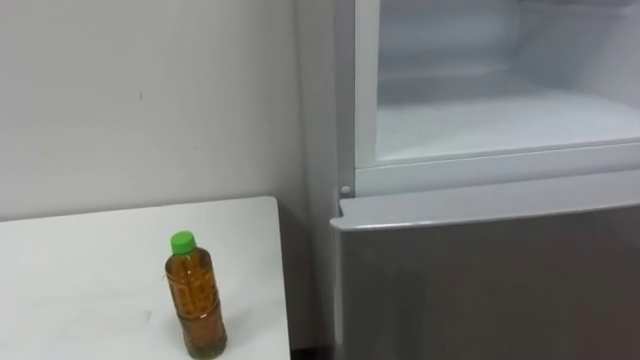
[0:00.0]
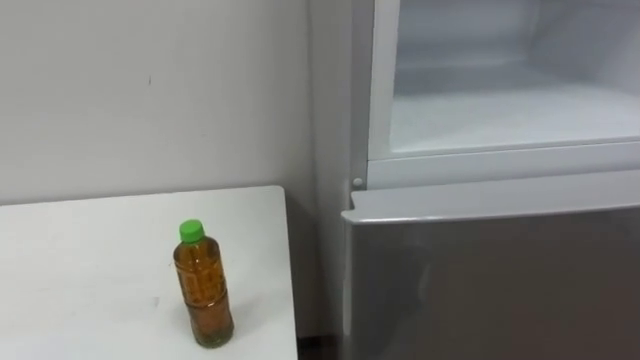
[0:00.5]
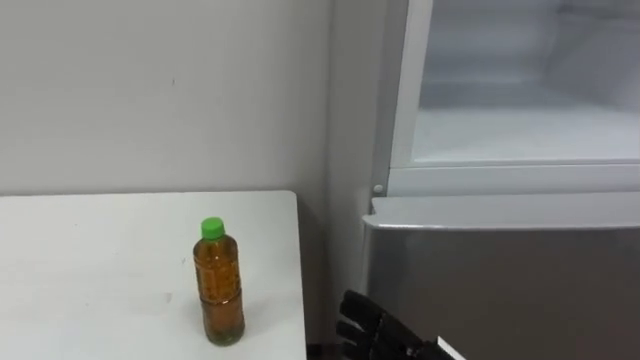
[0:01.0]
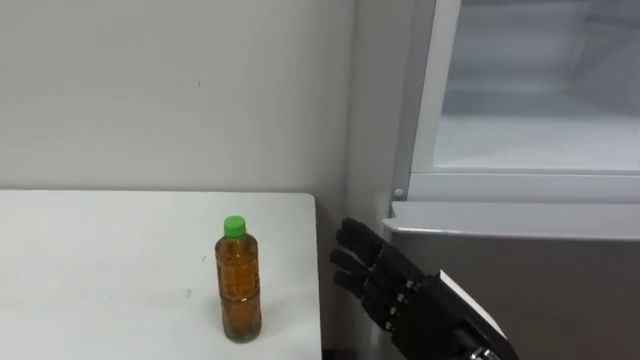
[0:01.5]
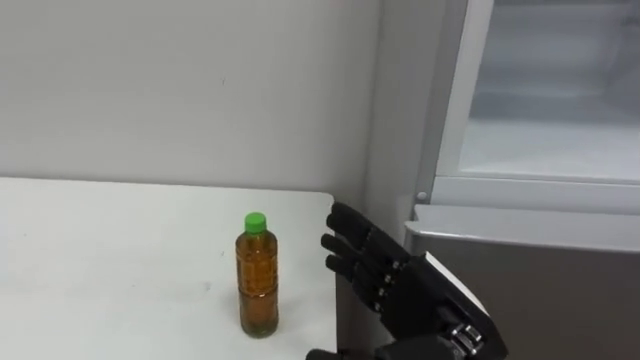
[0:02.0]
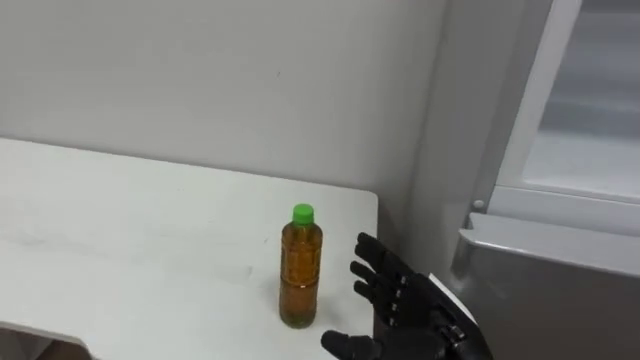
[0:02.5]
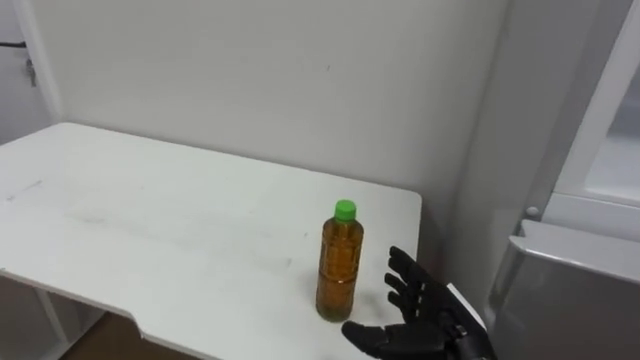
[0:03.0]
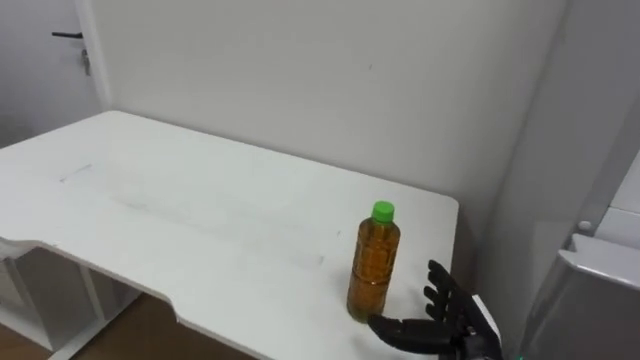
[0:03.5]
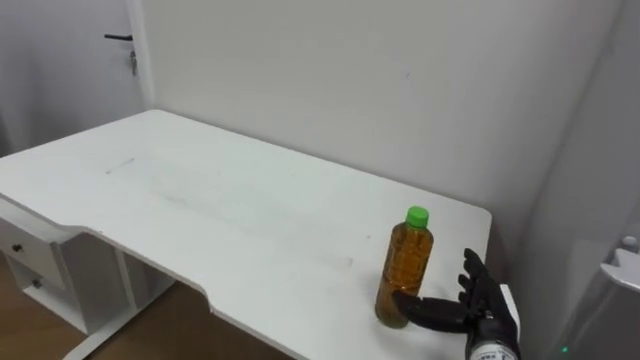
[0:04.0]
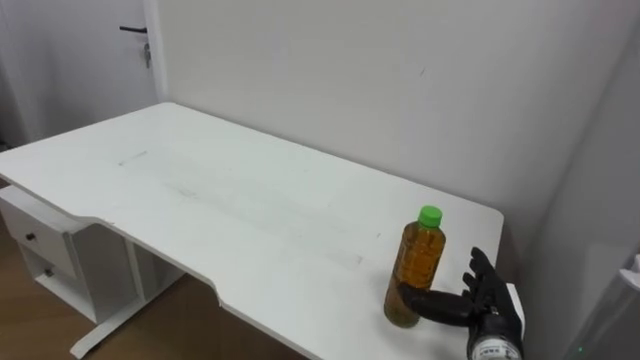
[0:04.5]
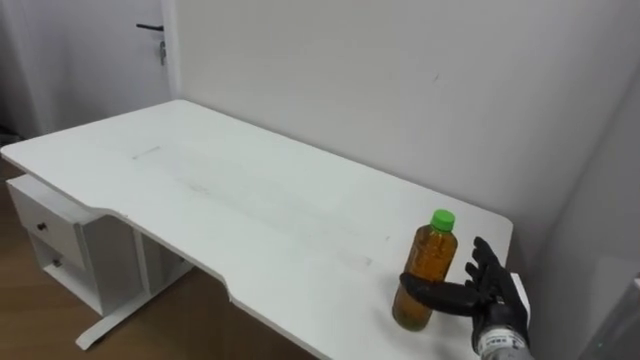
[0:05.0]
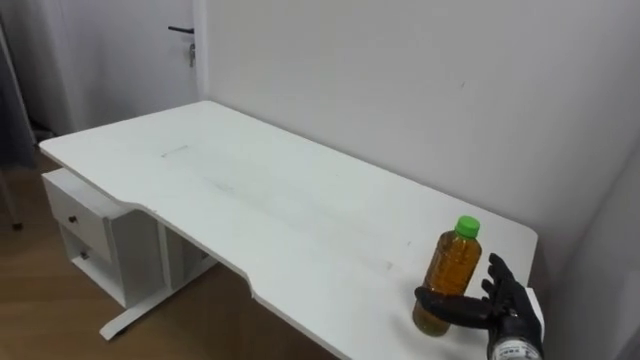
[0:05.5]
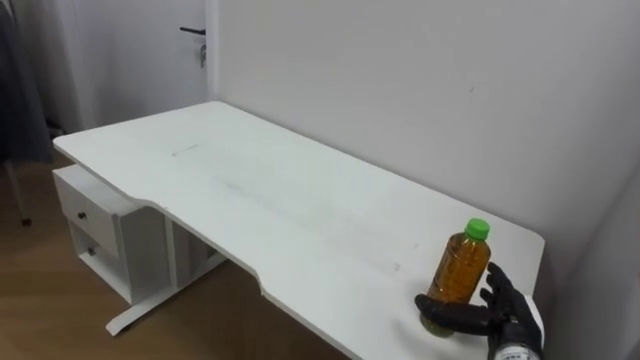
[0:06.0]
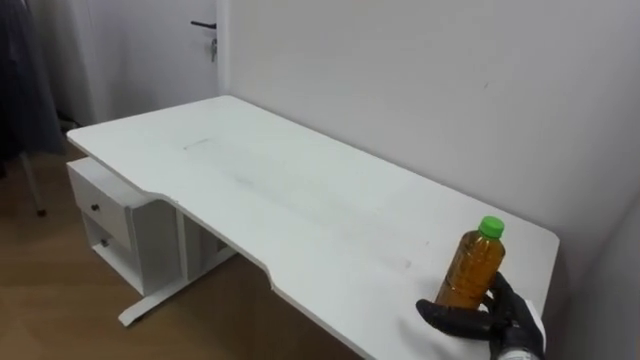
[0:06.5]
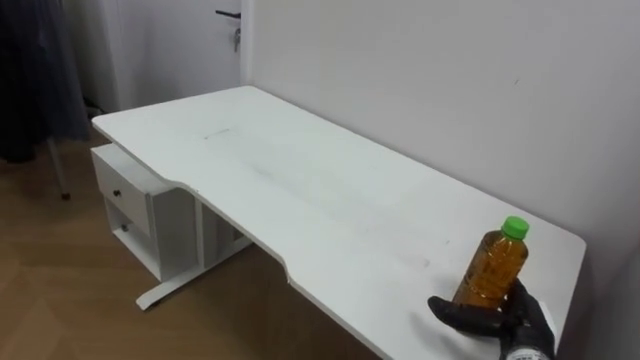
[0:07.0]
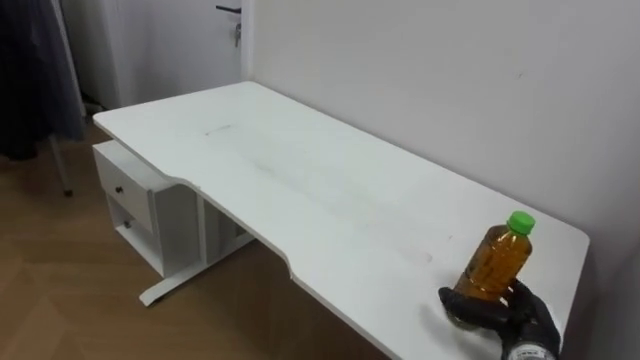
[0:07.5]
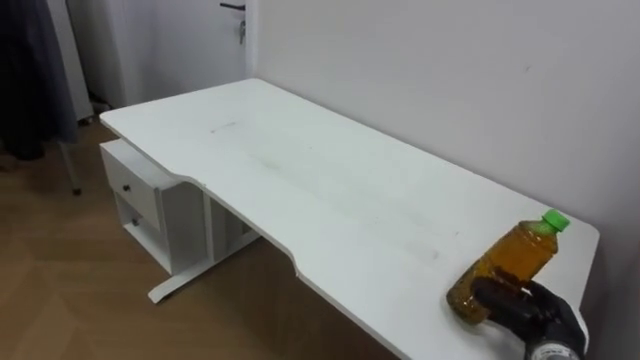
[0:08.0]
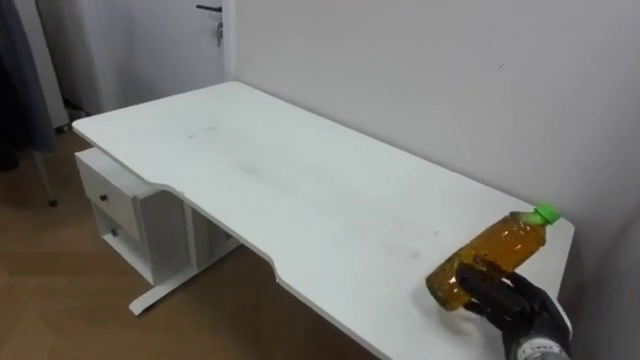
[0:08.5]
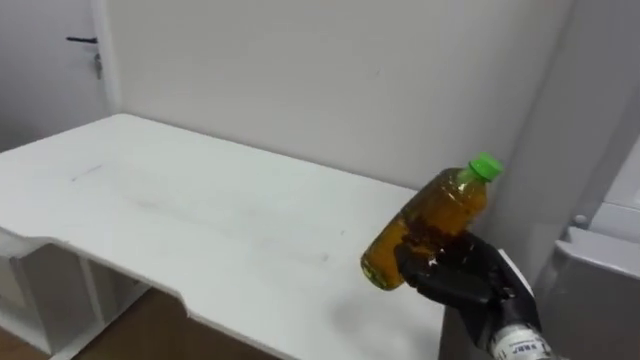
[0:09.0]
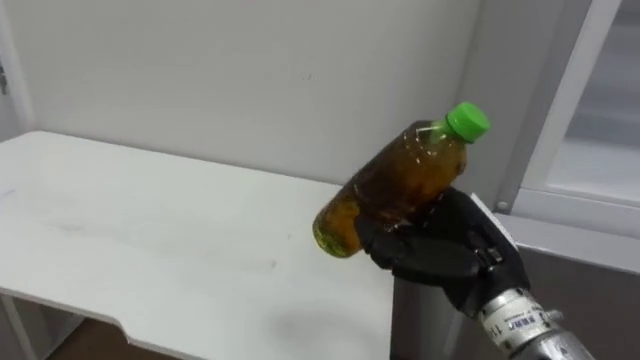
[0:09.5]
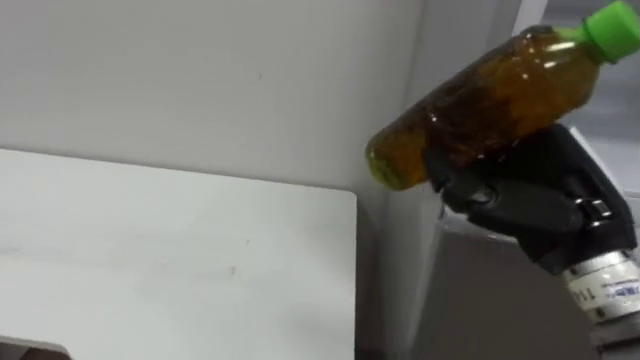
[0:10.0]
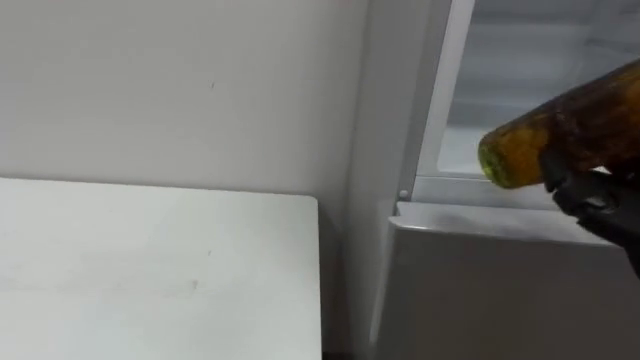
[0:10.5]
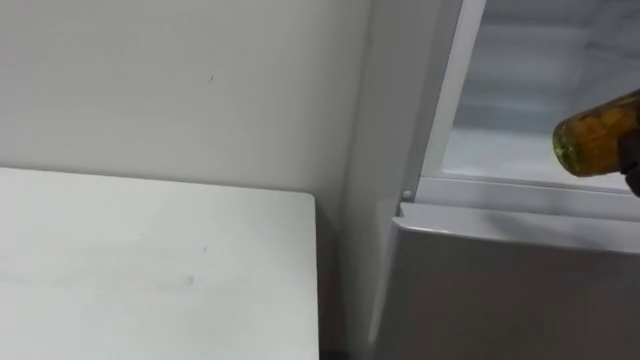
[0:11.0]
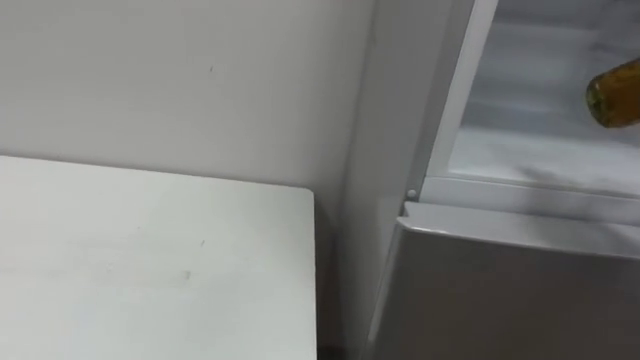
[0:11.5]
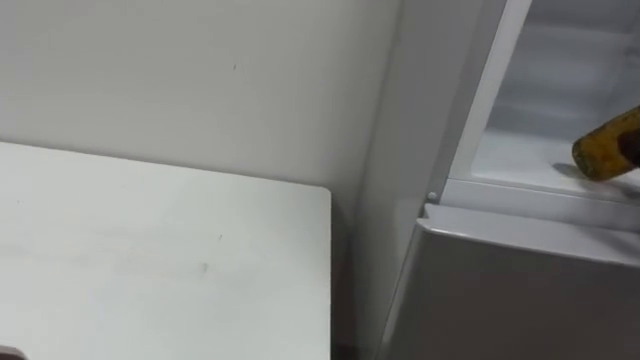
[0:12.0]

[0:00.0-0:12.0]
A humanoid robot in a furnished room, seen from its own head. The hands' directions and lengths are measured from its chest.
Task of the whole recording: Open the upper refrigerator door, put the drink from the table into the refrigerator, and then close the refrigerator door.
0:02.0 to 0:04.0: The right hand heads downward, to the right and forward, covering about 15 cm.
0:06.0 to 0:08.0: The right hand closes.
0:08.0 to 0:10.0: The right hand travels upward by roughly 25 cm.

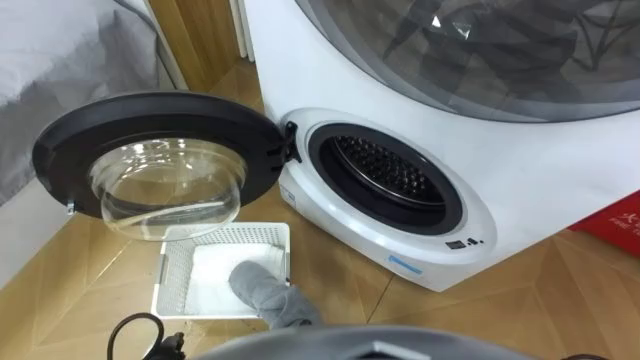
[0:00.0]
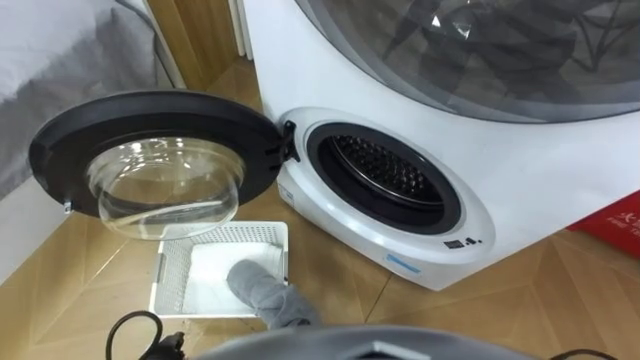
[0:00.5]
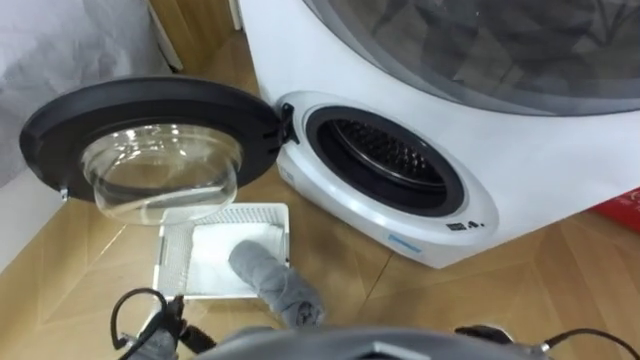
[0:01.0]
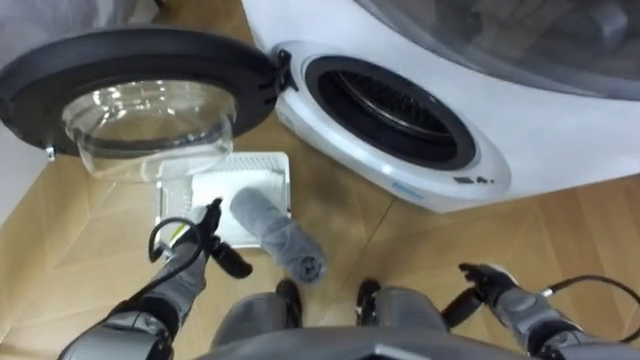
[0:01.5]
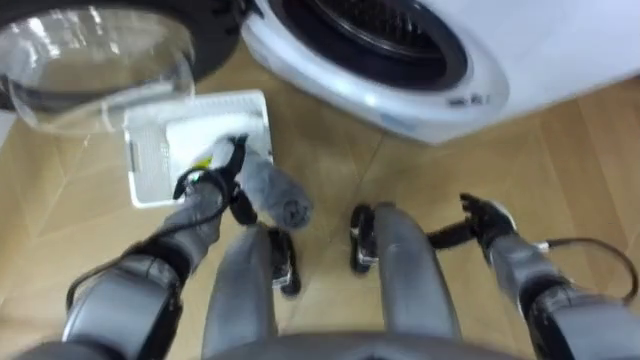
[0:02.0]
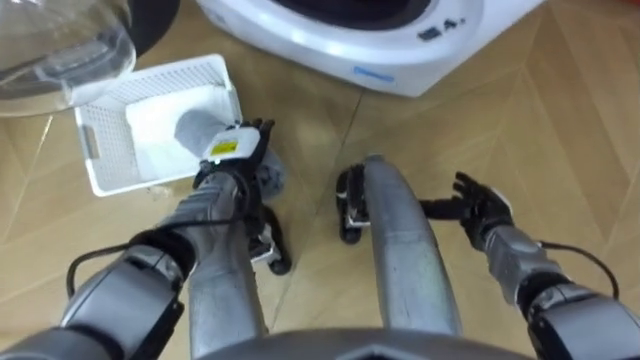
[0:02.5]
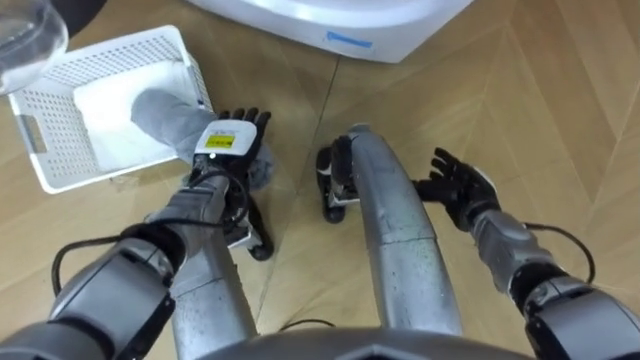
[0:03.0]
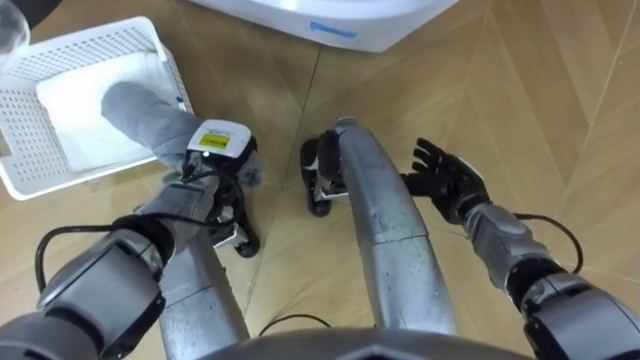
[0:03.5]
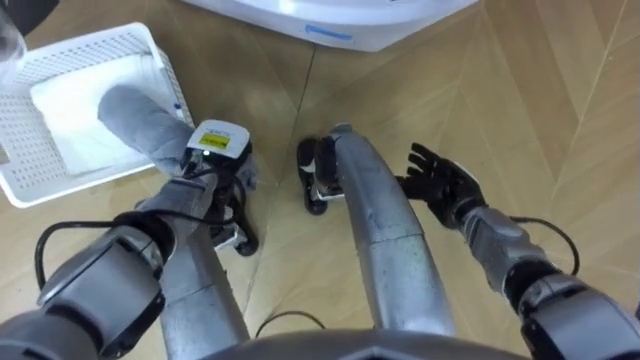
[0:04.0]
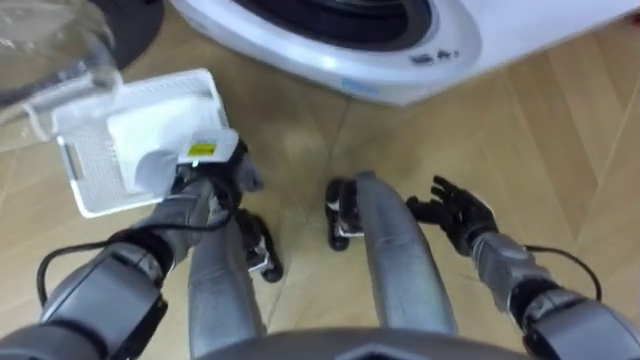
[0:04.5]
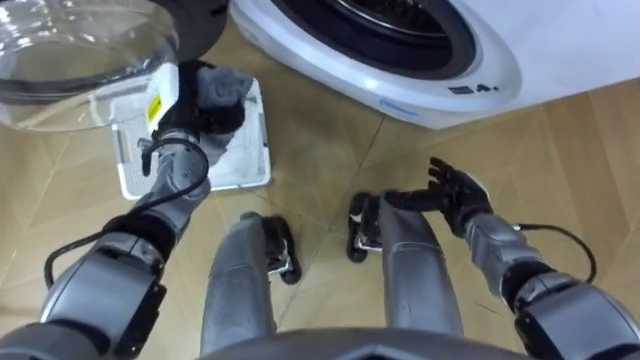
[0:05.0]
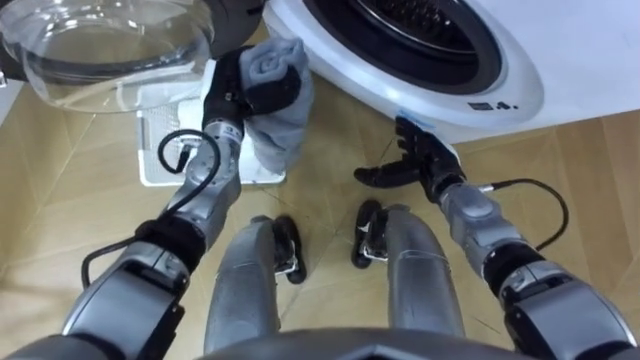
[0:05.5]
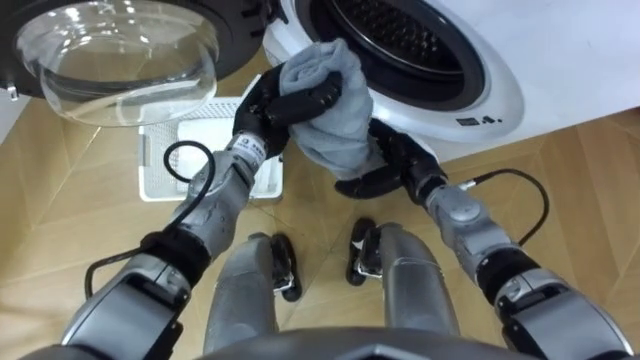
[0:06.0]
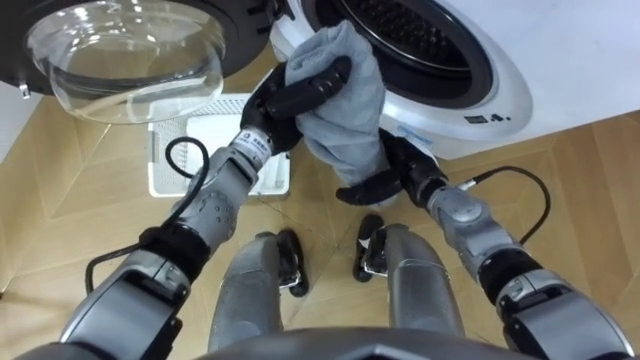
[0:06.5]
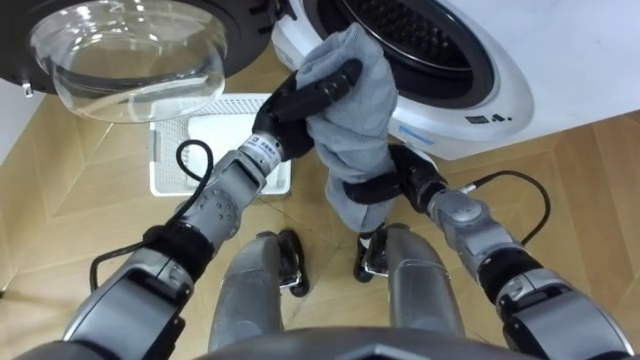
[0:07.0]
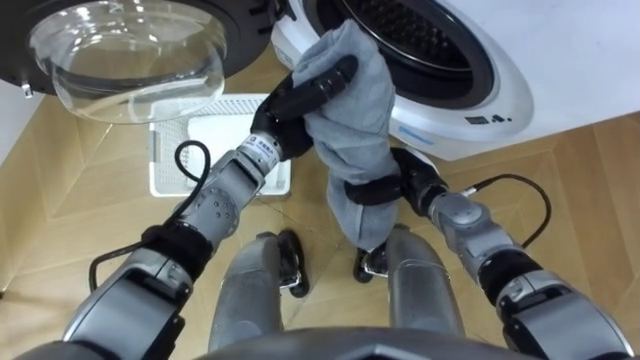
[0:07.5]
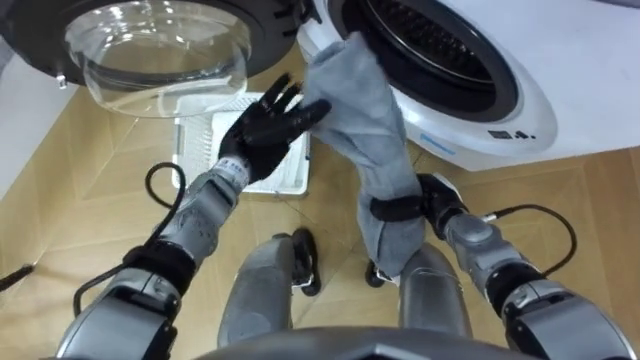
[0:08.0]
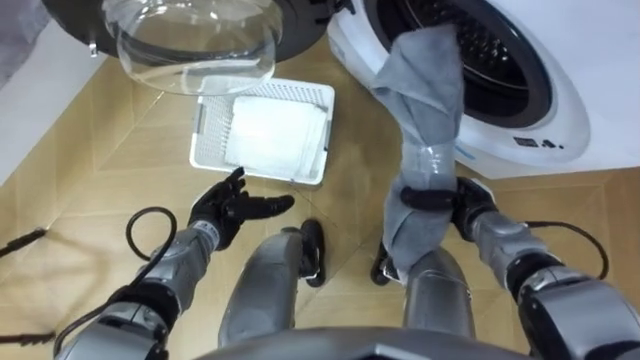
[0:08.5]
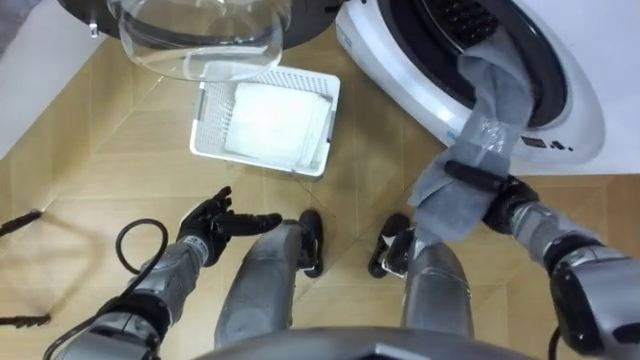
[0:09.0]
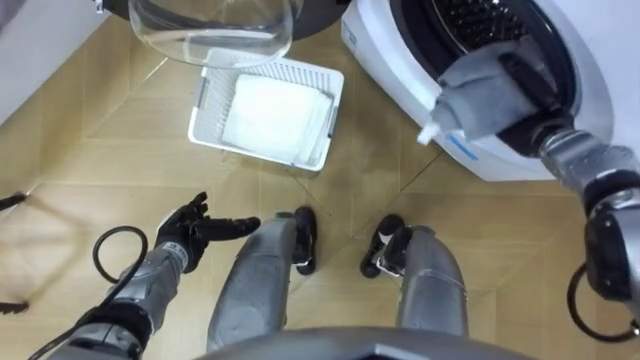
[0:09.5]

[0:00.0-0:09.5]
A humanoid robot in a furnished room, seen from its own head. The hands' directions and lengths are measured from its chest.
Task of the whole recording: Take the towel from the basket and put it into the washing machine.
0:02.0 to 0:04.0: The right hand heads to the left and forward, covering roughly 10 cm, while the left hand closes its fingers.
0:04.0 to 0:05.5: The right hand moves roughly 5 cm, while the left hand travels upward by about 10 cm.
0:05.5 to 0:07.5: The left hand shifts about 10 cm to the right, while the right hand closes up.
0:07.5 to 0:09.5: The right hand is displaced to the right and forward by some 20 cm, while the left hand shifts roughly 25 cm to the left, downward and backward, and opens.
